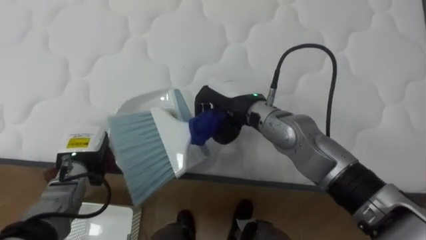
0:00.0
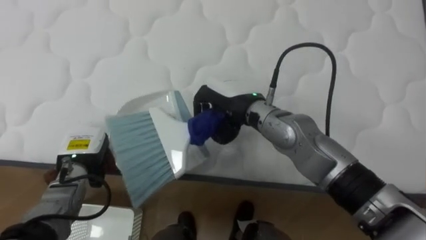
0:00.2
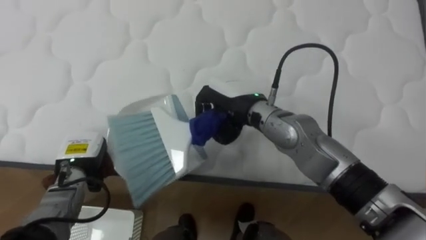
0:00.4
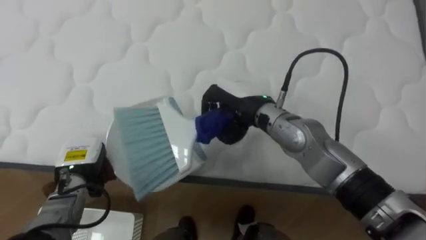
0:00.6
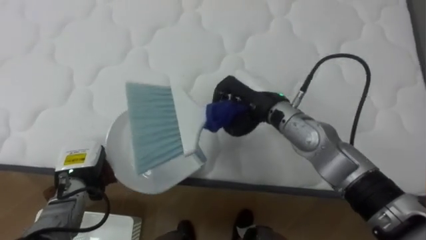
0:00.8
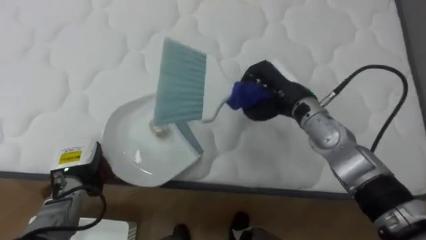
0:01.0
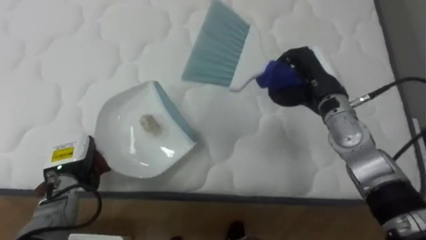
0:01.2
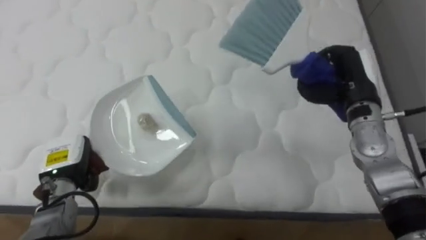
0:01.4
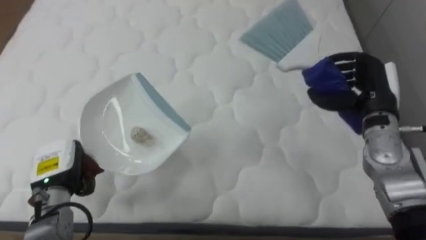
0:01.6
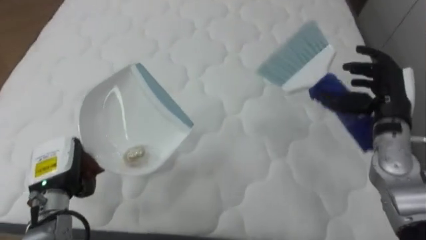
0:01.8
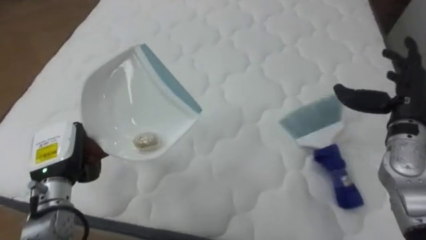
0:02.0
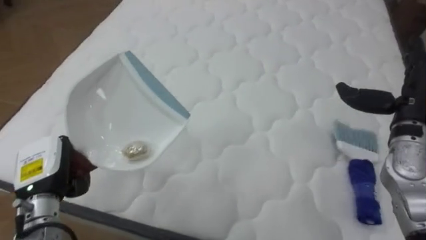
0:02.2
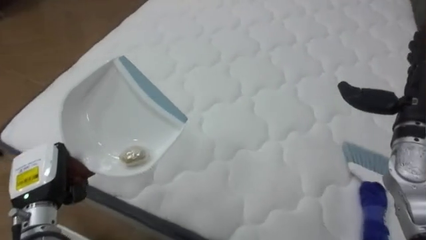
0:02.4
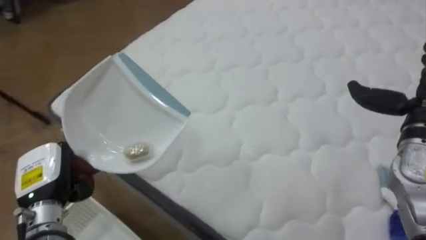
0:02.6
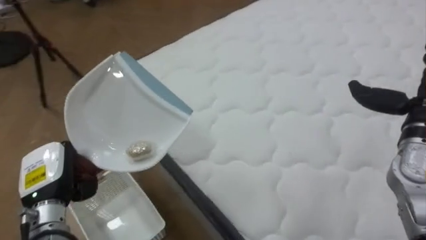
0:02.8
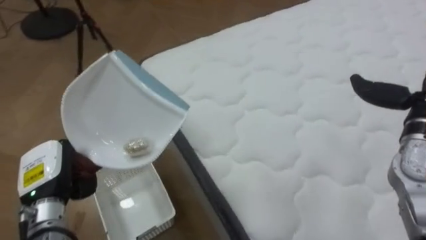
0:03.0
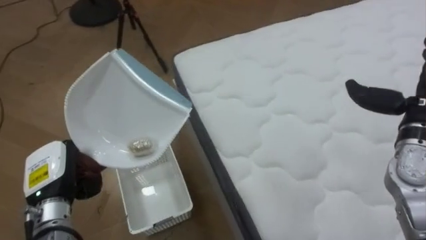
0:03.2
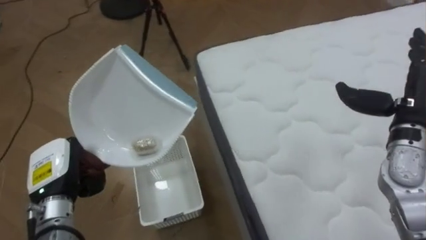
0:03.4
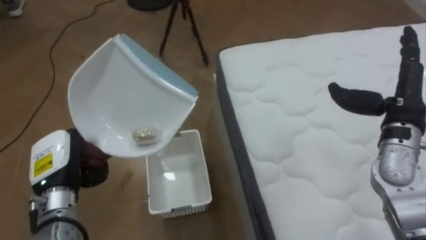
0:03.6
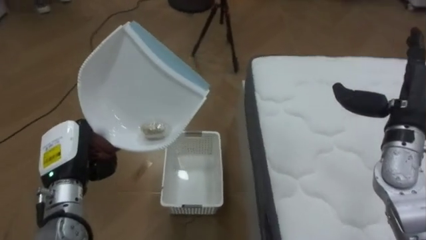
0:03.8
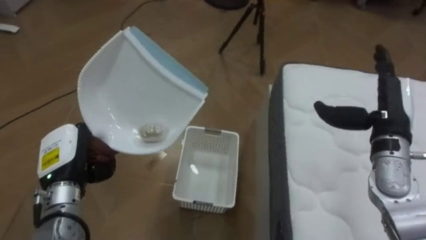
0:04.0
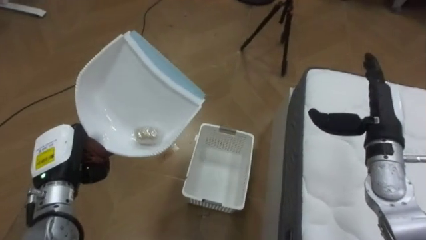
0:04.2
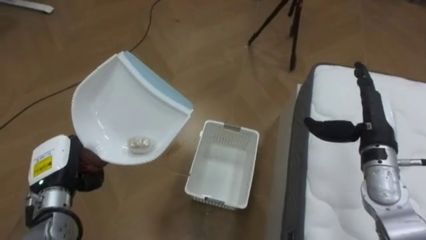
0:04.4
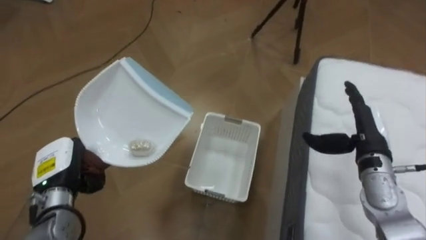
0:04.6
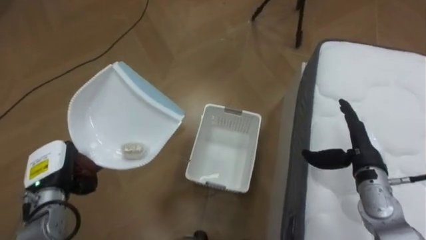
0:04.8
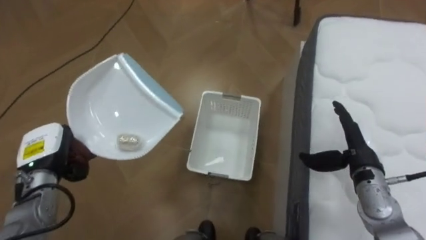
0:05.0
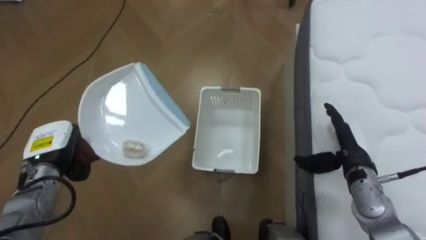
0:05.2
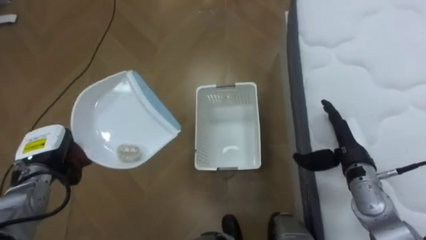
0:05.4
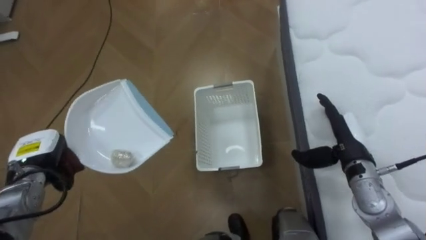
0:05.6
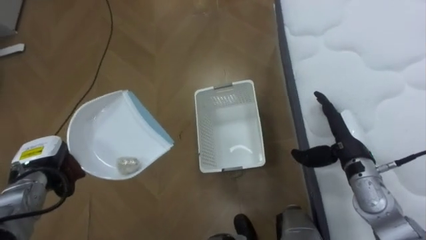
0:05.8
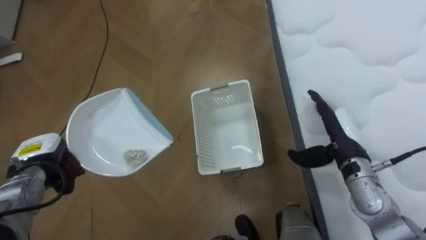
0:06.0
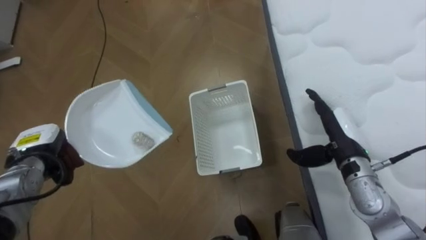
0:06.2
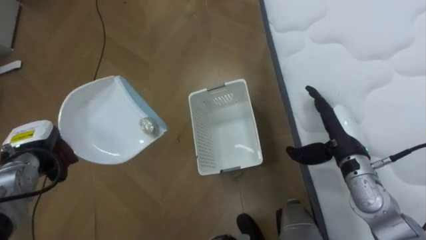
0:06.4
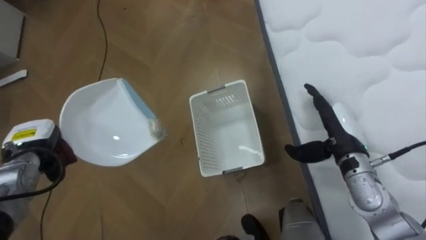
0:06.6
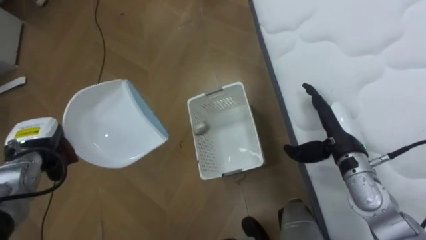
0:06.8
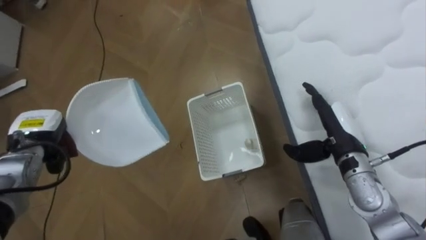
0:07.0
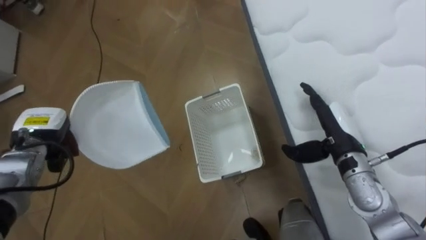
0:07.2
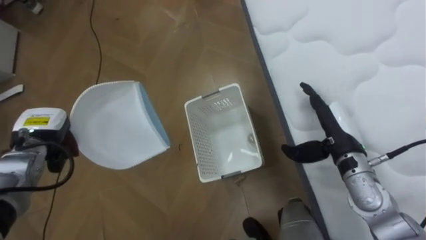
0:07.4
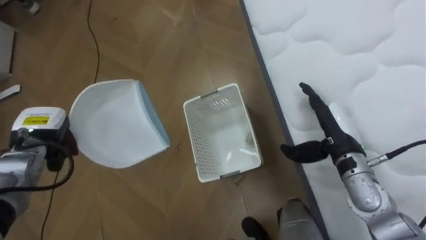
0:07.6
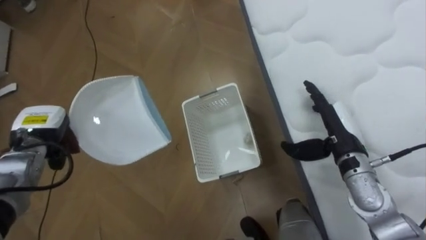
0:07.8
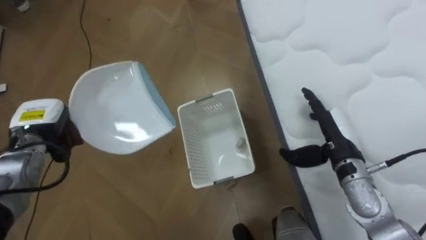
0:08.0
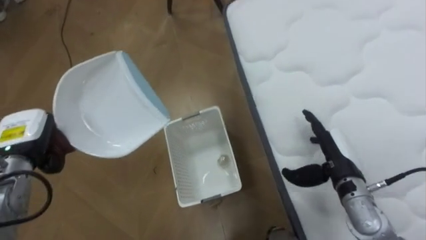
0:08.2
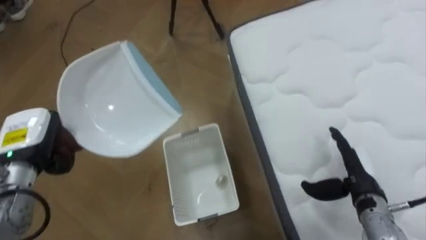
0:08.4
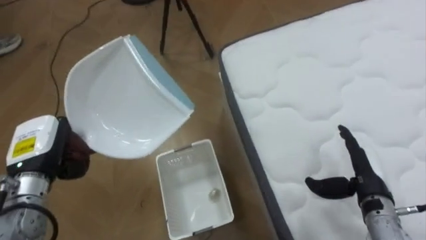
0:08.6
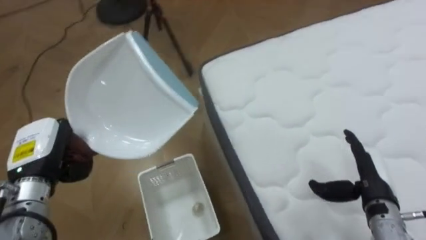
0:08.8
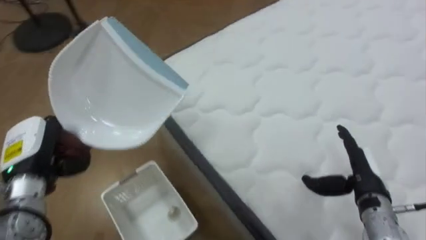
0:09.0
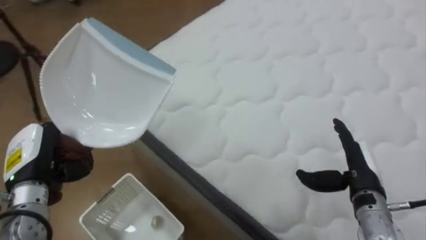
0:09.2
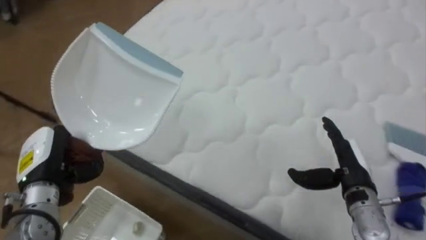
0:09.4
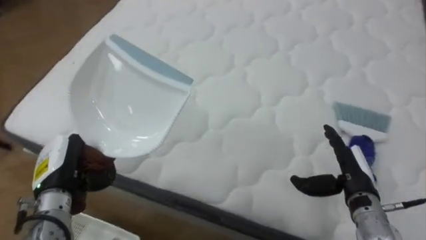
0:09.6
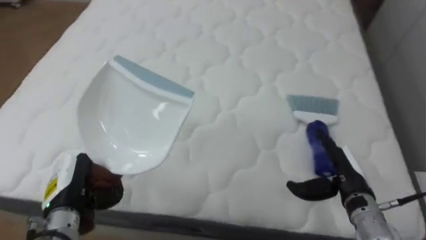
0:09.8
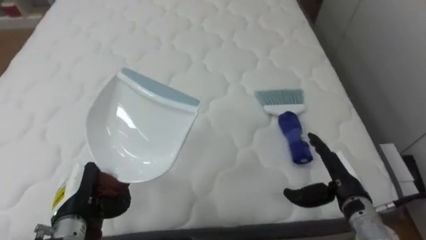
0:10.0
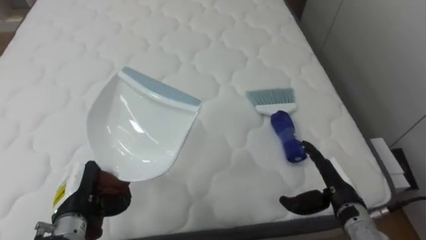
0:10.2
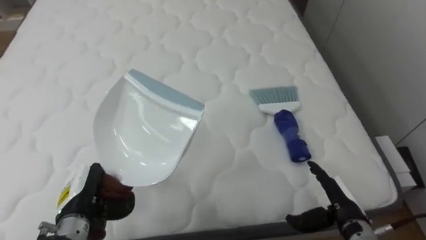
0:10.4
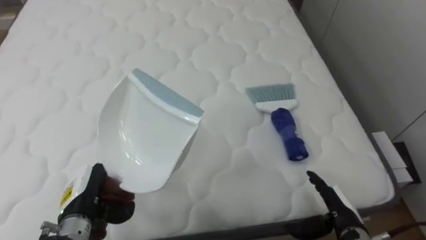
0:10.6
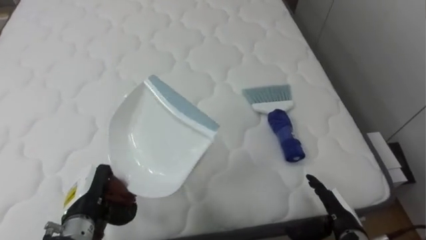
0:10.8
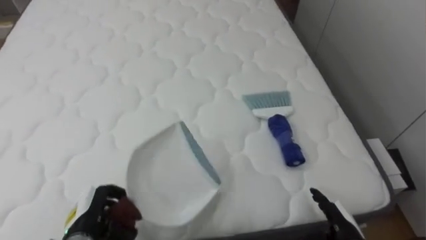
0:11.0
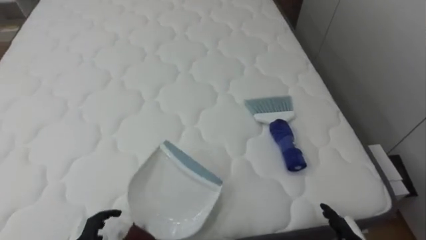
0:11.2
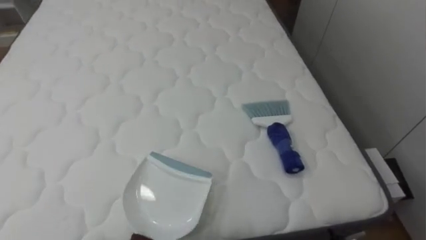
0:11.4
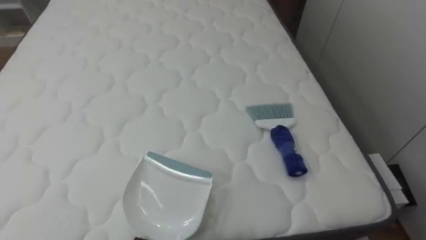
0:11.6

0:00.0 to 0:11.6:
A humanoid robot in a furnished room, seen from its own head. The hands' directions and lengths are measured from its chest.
Task of the whole recording: Pick up the brush on your right and the dustpan on your left. Use the brush to sweep the crumpled paper on the bed into the dustpan, then turn left and empty it into the basket.
0:00.0 to 0:01.4: The right hand shifts approximately 20 cm to the right.
0:01.4 to 0:02.8: The robot's body swings approximately 45 degrees to its left. The left hand is displaced backward by roughly 5 cm.
0:02.8 to 0:04.4: The robot turns to its left by approximately 55 degrees.
0:04.4 to 0:05.8: The right hand goes approximately 5 cm downward; the left hand ends up roughly 5 cm from where it was.
0:05.8 to 0:07.2: The left hand shifts by some 5 cm.
0:07.2 to 0:08.8: The left hand shifts some 5 cm backward; the right hand heads backward and to the right, covering some 10 cm.
0:08.8 to 0:10.2: The robot's body swings about 80 degrees to its right. The right hand shifts some 5 cm to the left. The left hand travels downward by about 10 cm.

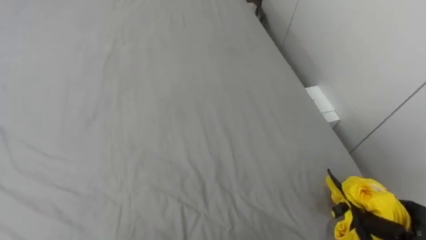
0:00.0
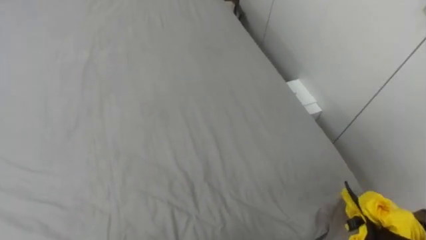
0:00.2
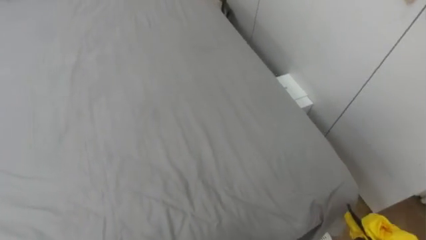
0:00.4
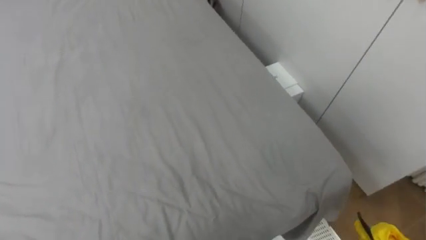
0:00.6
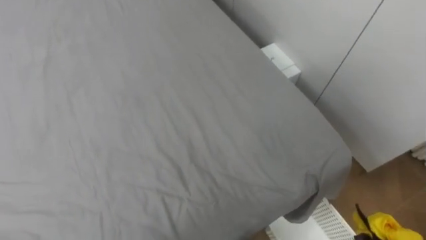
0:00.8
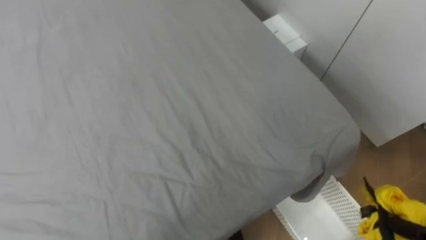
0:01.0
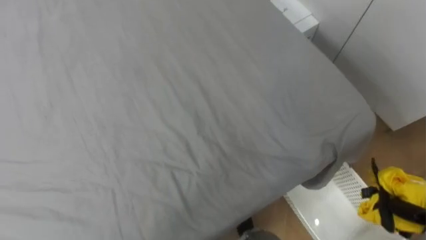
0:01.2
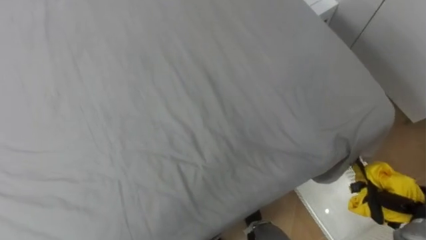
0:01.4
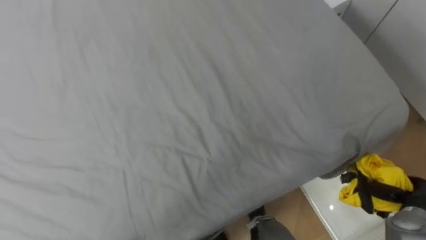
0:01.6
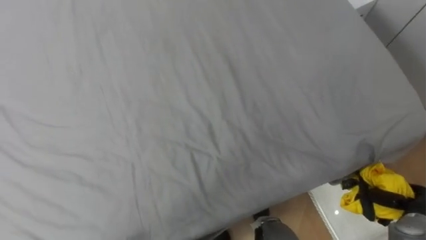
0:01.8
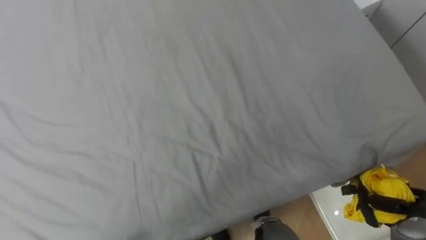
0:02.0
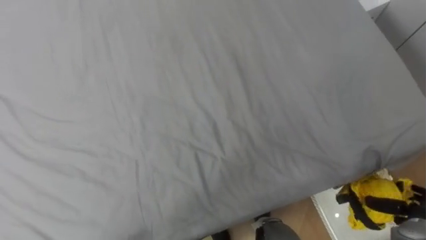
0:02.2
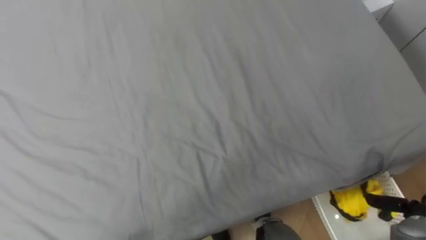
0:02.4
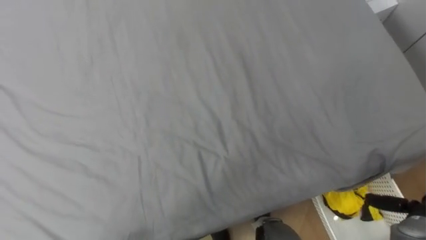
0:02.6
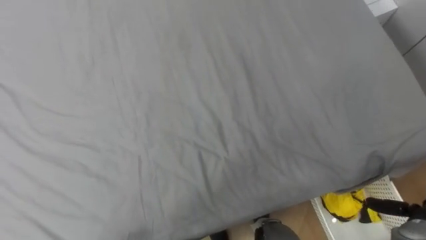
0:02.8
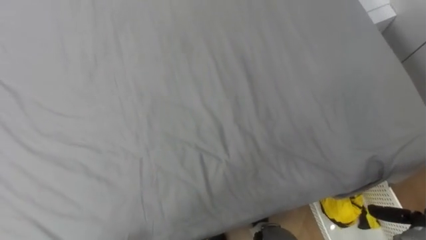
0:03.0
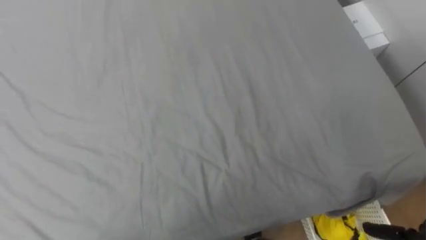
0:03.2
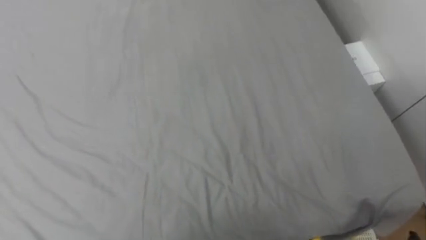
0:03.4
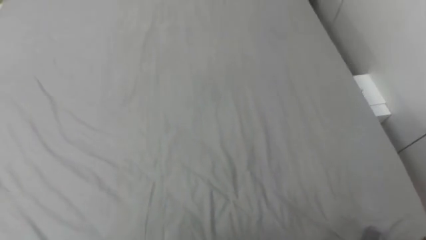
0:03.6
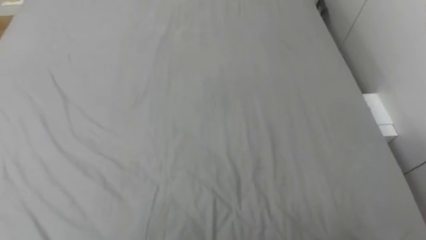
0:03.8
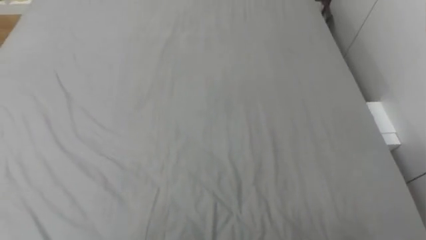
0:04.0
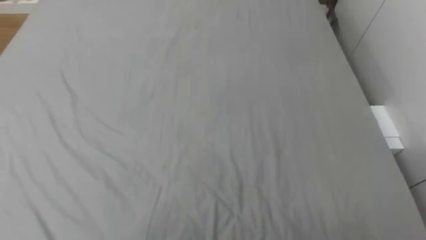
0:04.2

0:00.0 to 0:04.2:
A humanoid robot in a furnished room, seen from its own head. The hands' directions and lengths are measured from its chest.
Task of the whole recording: Pick up the yellow clothes on the bed and place them into the white basket on the right.
0:01.4 to 0:02.8: The right hand opens its fingers.

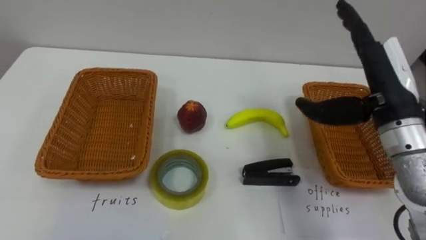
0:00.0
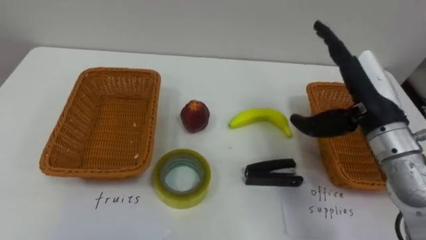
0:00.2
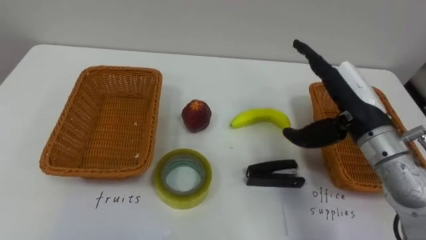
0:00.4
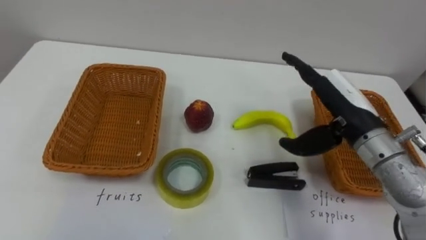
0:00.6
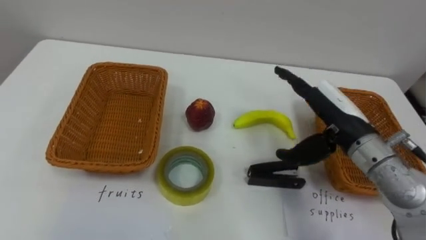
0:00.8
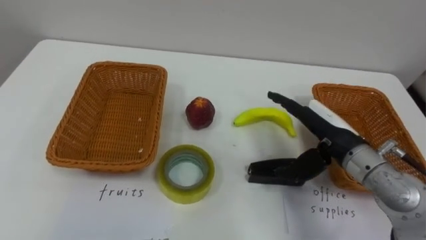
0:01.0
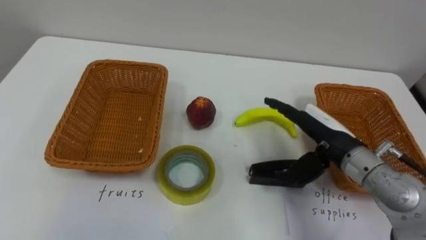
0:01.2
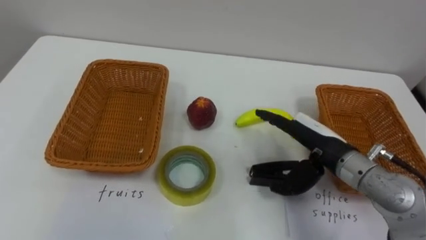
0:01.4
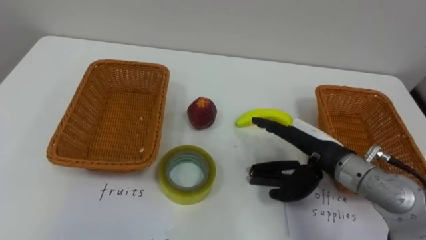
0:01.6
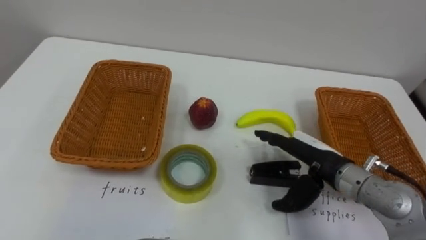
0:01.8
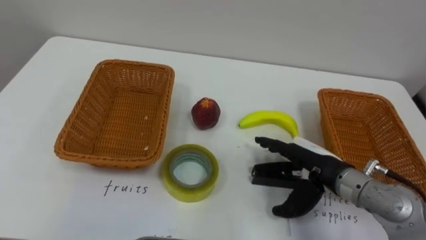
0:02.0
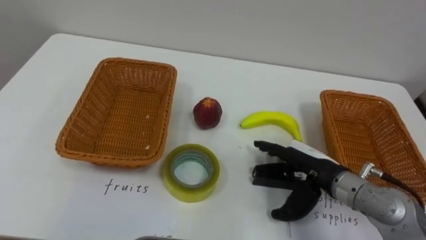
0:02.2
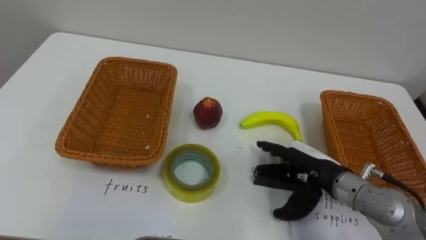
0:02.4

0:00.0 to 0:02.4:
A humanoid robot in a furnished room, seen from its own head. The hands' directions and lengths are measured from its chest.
Task of the whole recording: Separate the items on the table and place them into the two baskets.
0:00.0 to 0:01.2: The right hand goes approximately 10 cm downward.
0:01.2 to 0:02.4: The right hand goes some 5 cm downward.
